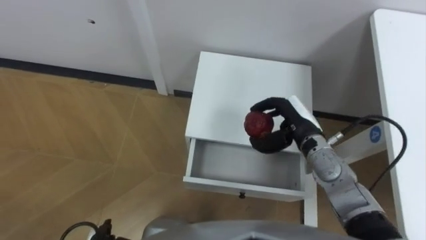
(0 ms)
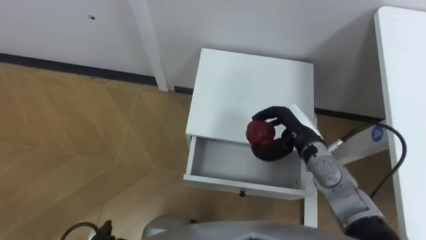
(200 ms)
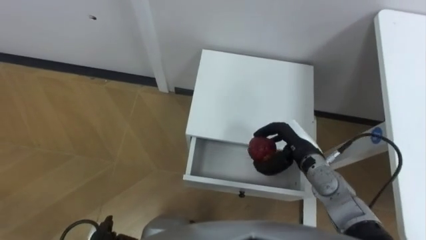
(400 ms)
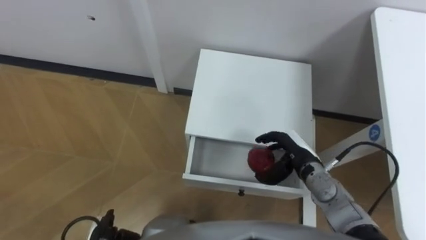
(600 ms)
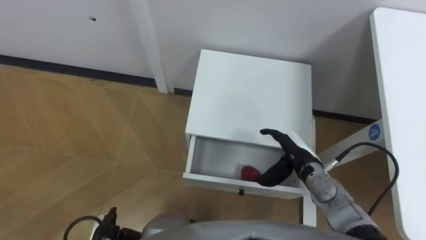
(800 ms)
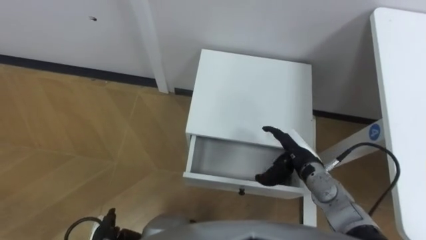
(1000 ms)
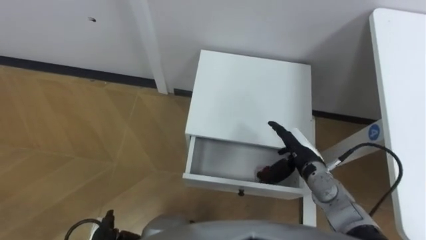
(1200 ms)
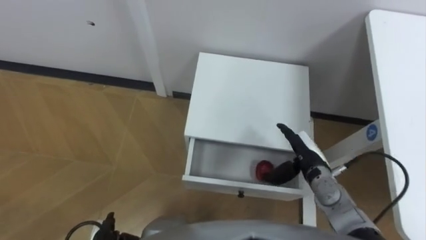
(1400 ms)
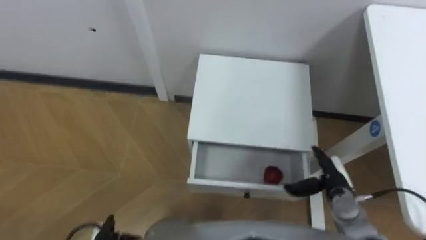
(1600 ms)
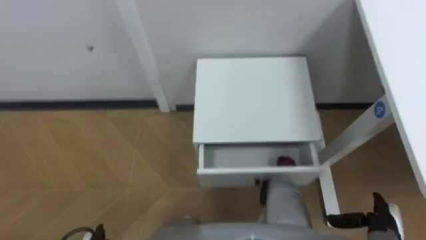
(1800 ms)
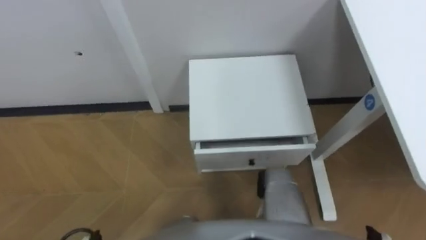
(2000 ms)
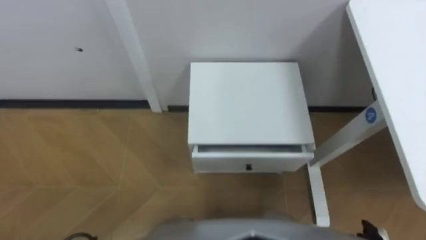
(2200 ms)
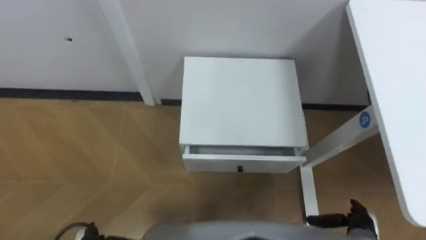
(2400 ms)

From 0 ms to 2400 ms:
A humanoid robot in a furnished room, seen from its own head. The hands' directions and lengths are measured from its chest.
Task of the whole recording: Pick up the apple from the table, put it in the drawer, and close the drawer with leg.
From 0 ms to 1200 ms: The right hand is displaced downward by roughly 5 cm, and opens up.

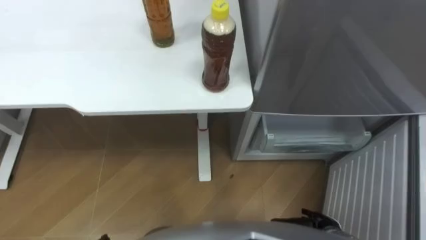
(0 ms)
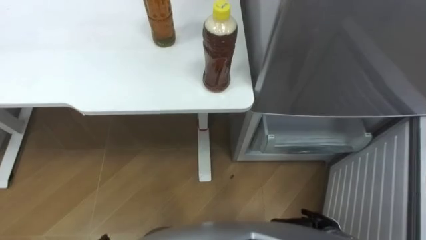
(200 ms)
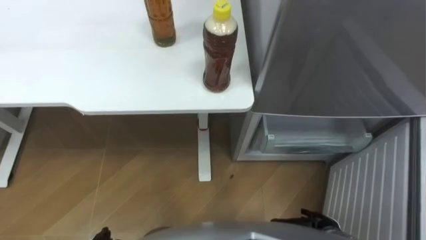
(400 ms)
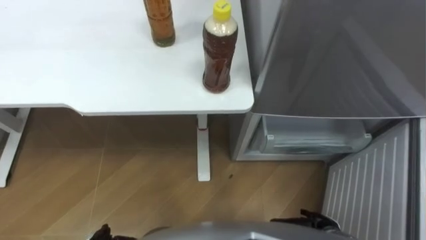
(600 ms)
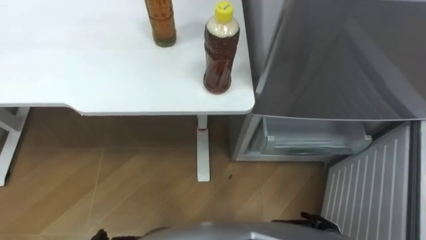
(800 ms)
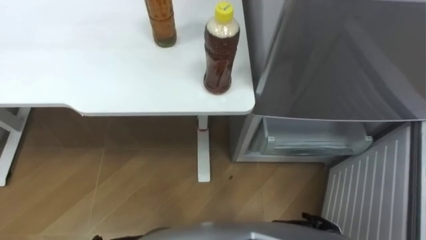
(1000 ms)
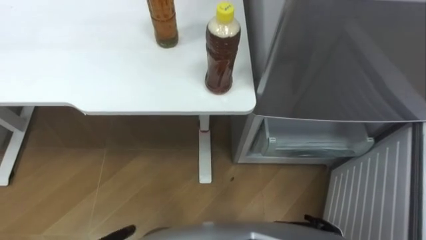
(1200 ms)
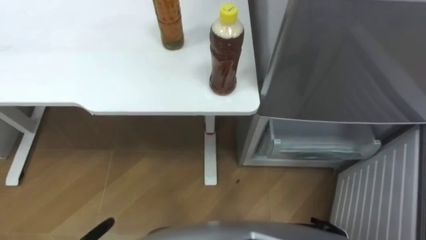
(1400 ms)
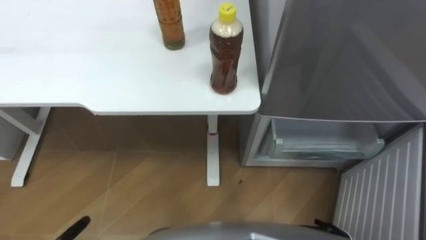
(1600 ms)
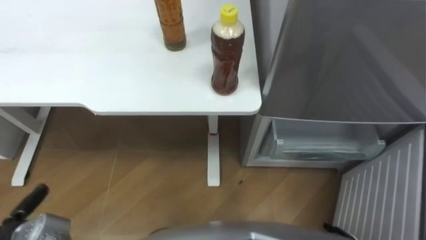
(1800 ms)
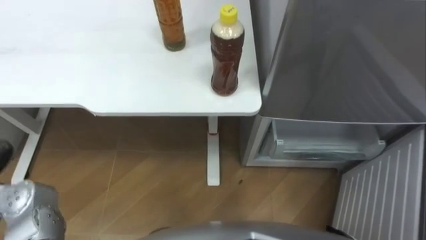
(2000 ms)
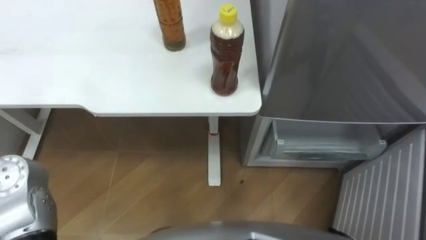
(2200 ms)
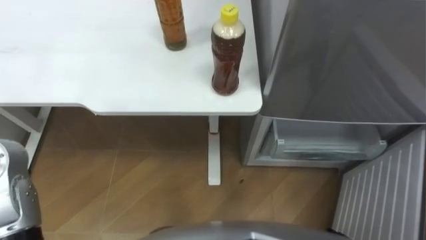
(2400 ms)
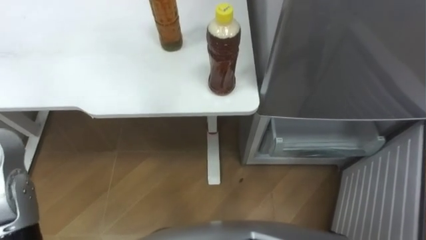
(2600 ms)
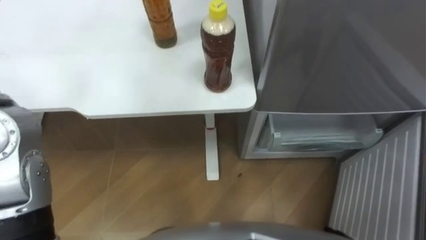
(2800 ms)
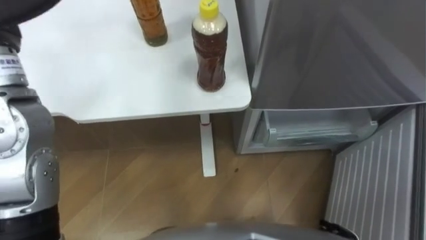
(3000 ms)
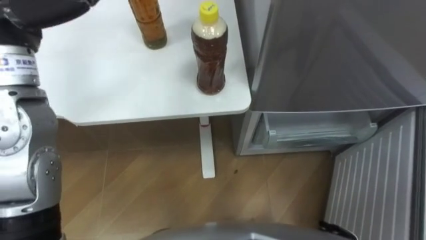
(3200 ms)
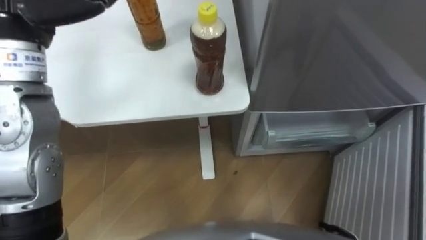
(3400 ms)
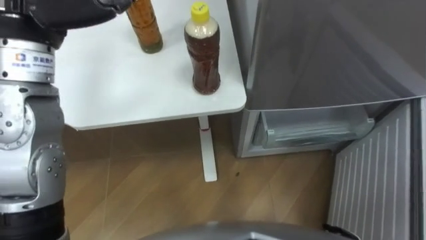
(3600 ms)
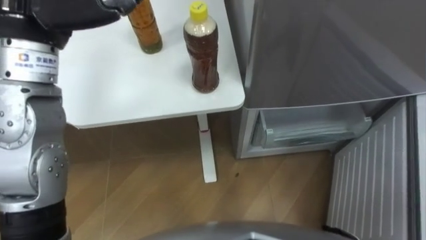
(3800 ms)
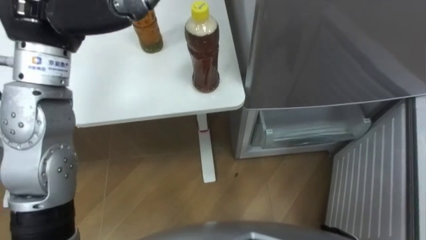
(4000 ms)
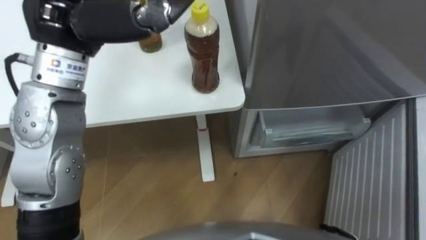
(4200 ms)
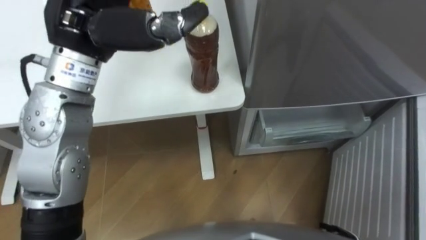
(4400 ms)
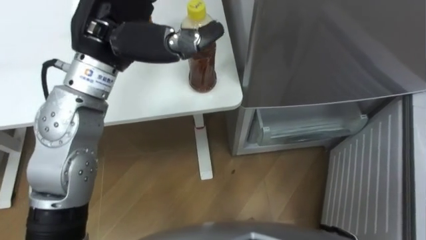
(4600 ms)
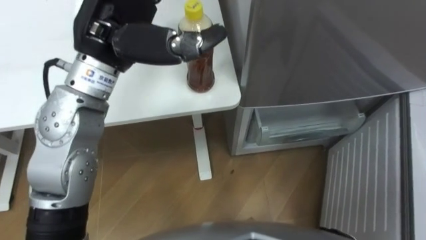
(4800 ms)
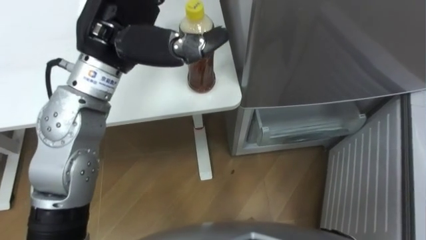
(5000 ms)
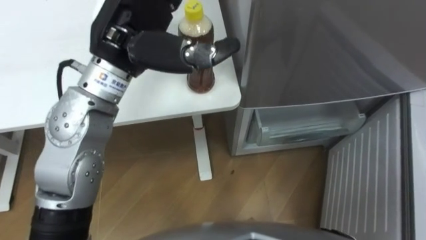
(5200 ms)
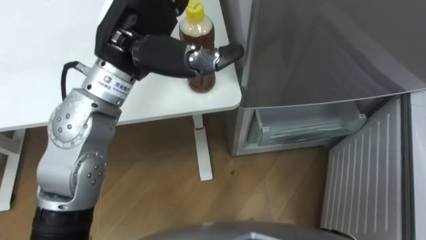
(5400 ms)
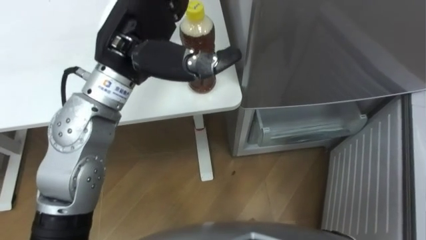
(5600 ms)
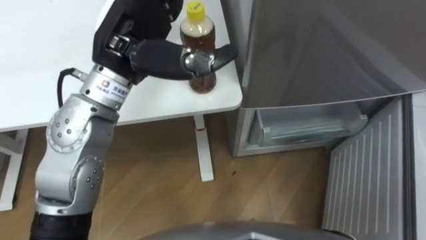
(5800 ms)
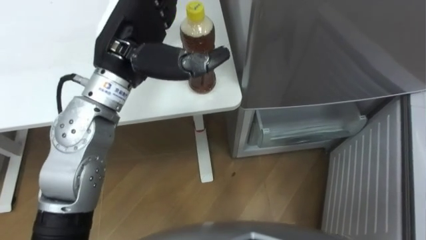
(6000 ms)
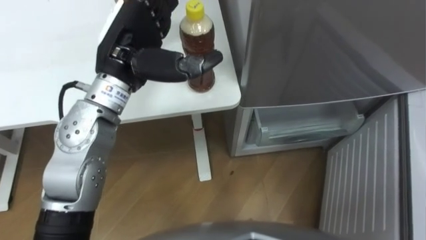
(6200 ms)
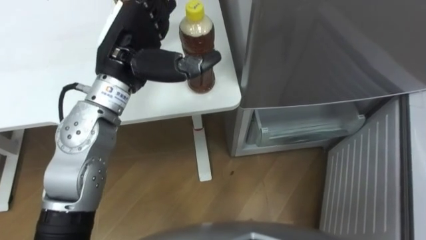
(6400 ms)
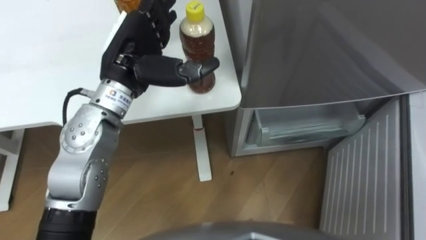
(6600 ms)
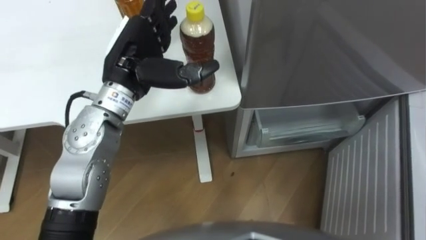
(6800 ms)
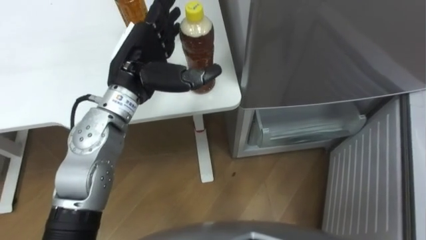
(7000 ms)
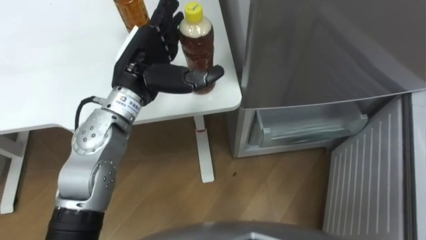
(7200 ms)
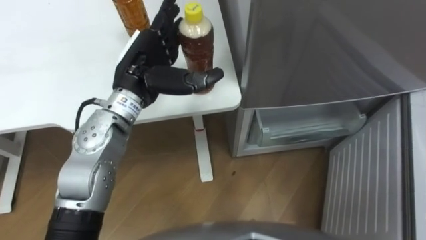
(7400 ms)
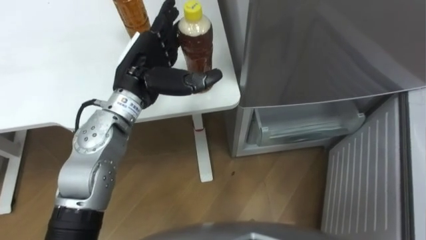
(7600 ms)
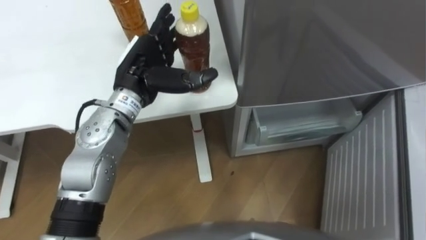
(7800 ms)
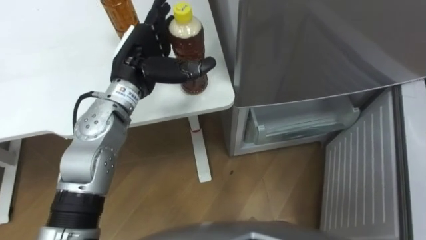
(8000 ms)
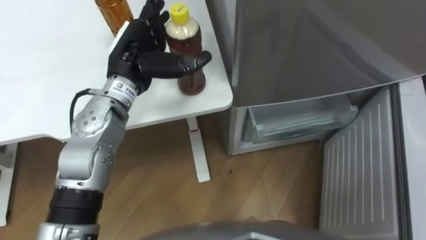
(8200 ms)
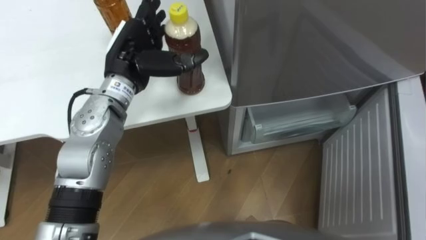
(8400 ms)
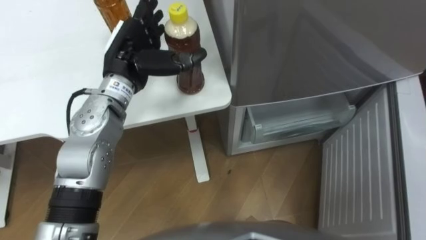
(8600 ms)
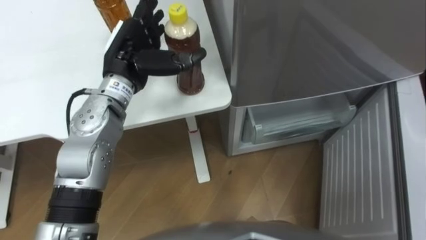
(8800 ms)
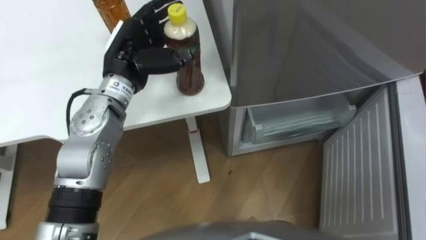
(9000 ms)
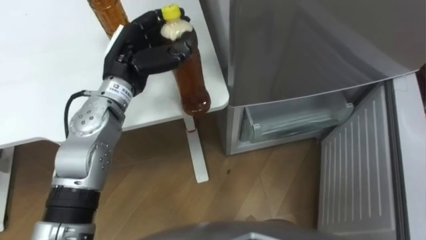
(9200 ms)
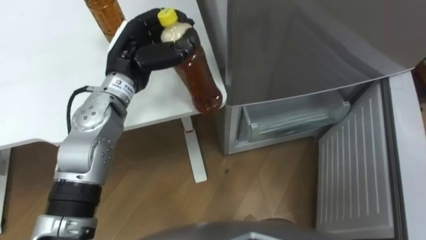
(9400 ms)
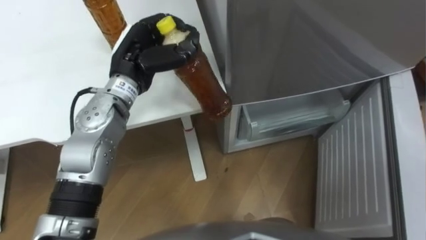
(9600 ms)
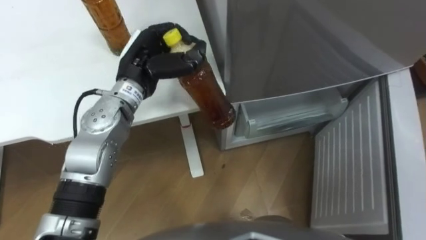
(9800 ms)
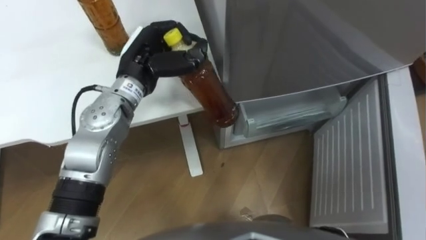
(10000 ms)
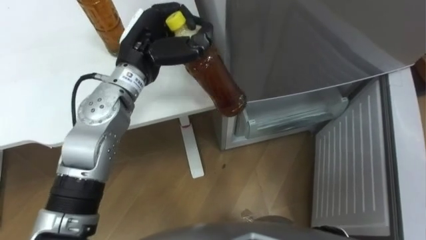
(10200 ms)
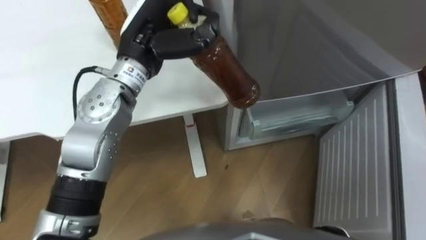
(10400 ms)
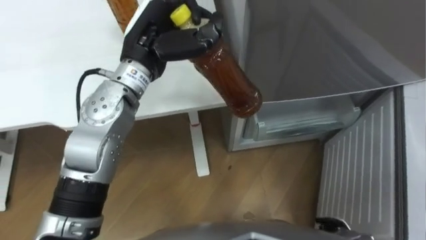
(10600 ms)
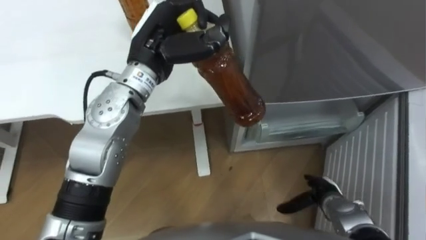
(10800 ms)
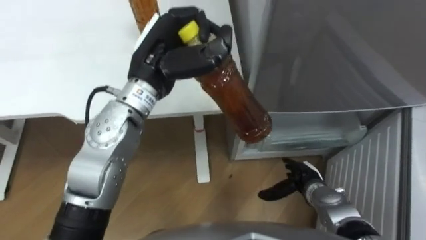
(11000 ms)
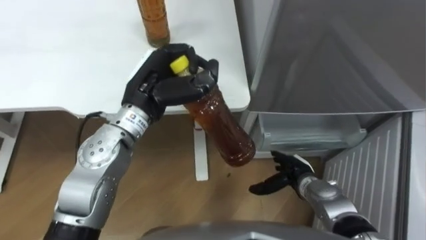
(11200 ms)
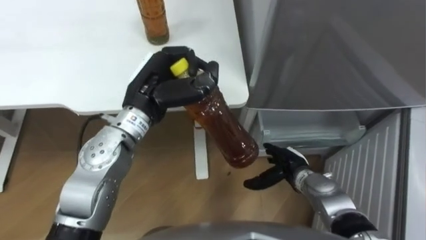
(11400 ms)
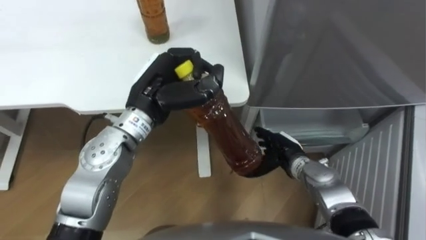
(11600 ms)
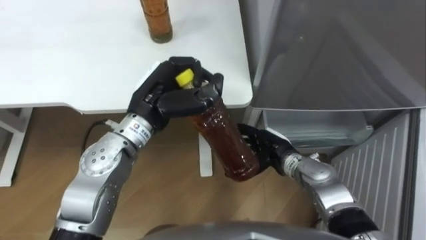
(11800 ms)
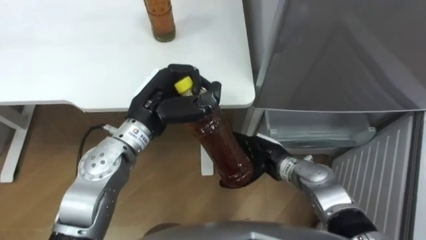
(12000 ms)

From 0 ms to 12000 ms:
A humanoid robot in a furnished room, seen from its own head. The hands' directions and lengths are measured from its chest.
Task of the whole recording: Place the drink on the table on the bottom shelf of the refrigerator, then close the drawer and the refrigerator door.
From 4400 ms to 6000 ms: The left hand moves downward, about 5 cm.
From 6000 ms to 7600 ms: The left hand is displaced downward by about 10 cm.
From 7600 ms to 9000 ms: The left hand closes.
From 9000 ms to 10400 ms: The left hand ends up roughly 5 cm from where it was, and closes up.
From 10400 ms to 12000 ms: The left hand travels downward and backward by roughly 10 cm.

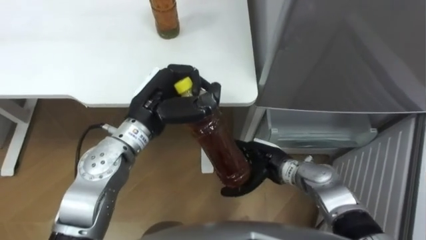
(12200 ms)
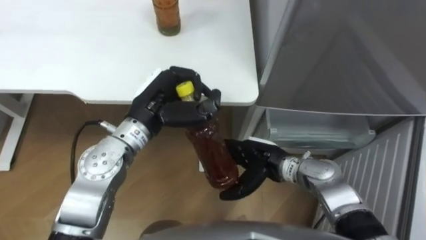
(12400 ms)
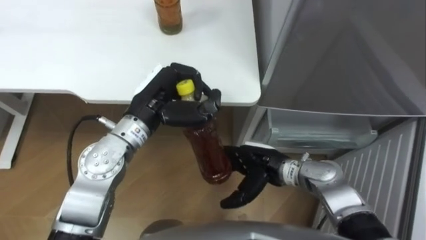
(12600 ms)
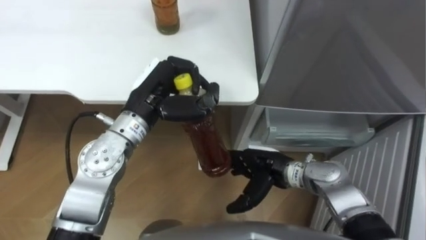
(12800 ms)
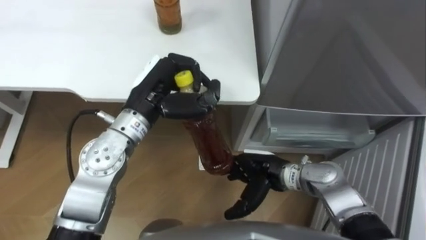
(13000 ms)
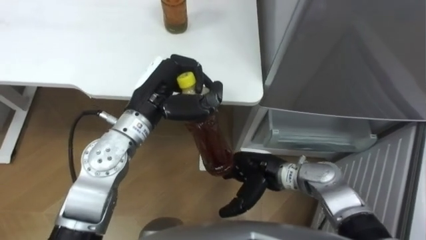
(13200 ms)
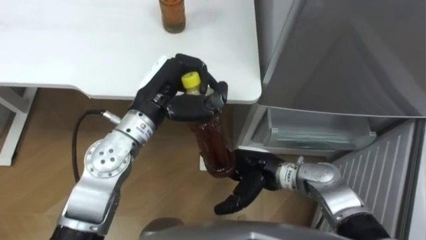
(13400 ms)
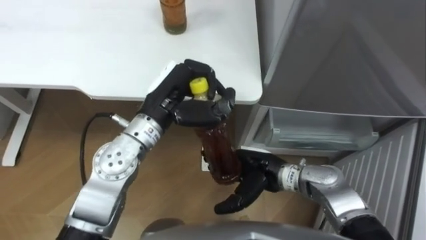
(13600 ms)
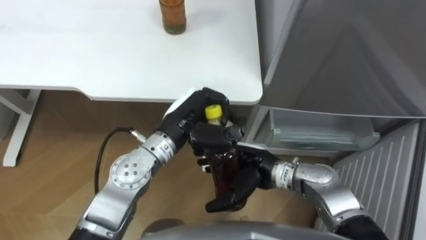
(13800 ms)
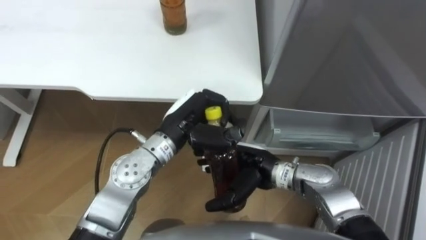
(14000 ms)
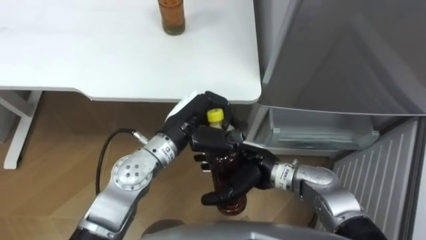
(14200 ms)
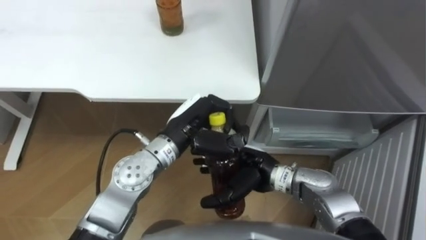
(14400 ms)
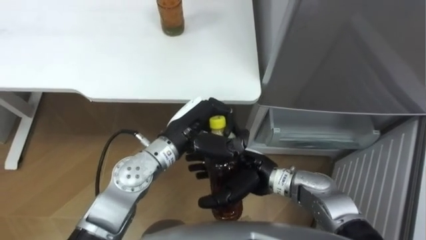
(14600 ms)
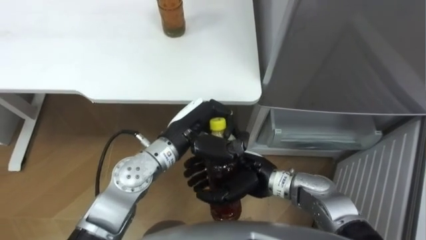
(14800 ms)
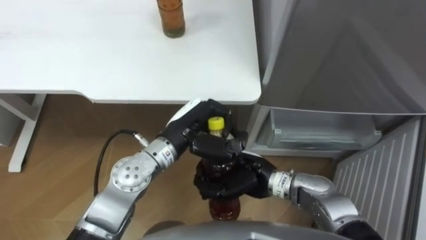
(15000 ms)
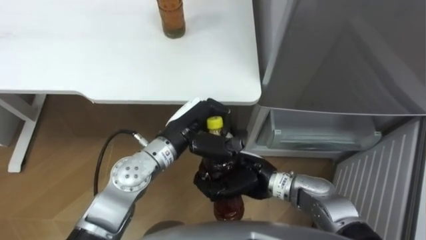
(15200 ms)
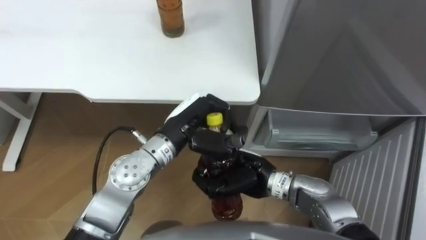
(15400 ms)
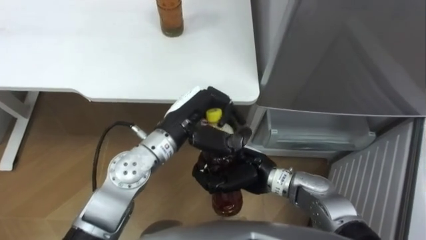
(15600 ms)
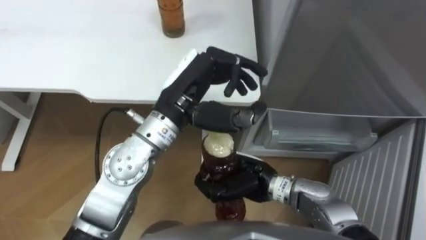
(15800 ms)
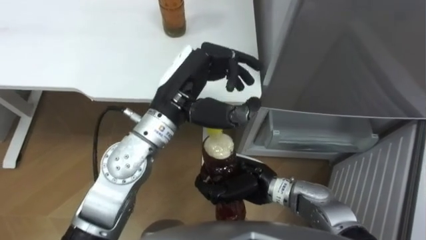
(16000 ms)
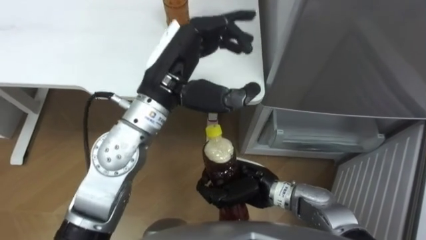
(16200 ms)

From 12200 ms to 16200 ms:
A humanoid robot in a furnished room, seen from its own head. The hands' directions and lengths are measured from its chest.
Task of the whole recording: Place the drink on the table on the bottom shelf of the refrigerator, then close the drawer and the refrigerator door.
From 13600 ms to 14800 ms: The left hand moves downward, about 5 cm; the right hand closes.
From 14800 ms to 16200 ms: The right hand closes its fingers, while the left hand is displaced upward by roughly 15 cm, and opens up.
